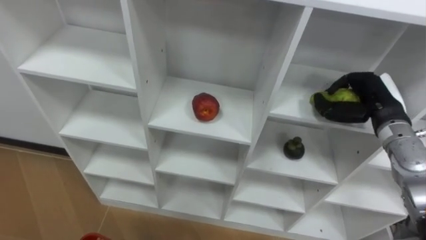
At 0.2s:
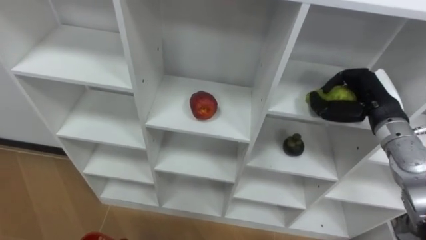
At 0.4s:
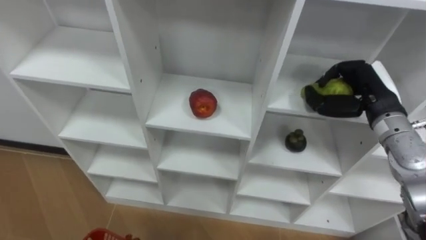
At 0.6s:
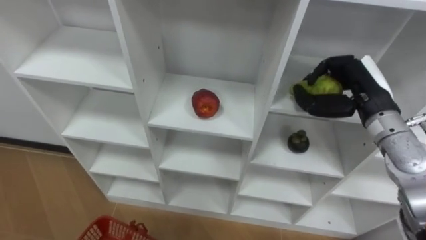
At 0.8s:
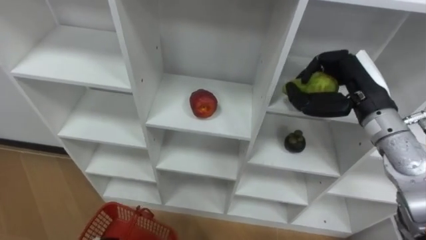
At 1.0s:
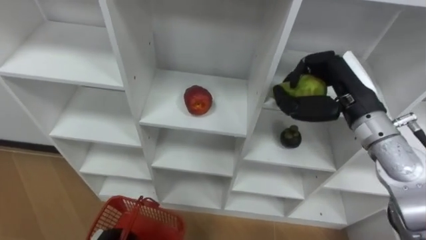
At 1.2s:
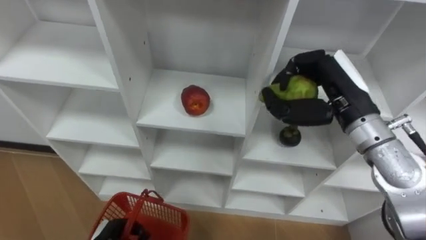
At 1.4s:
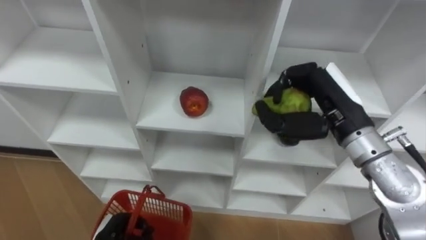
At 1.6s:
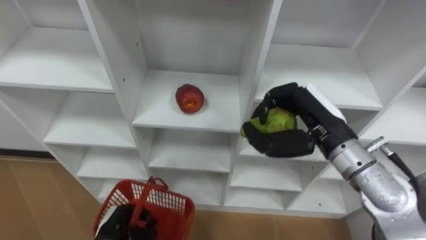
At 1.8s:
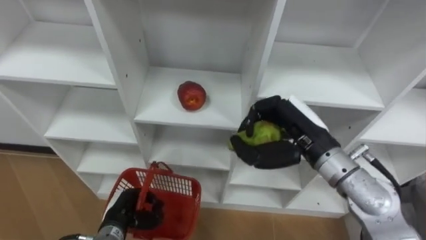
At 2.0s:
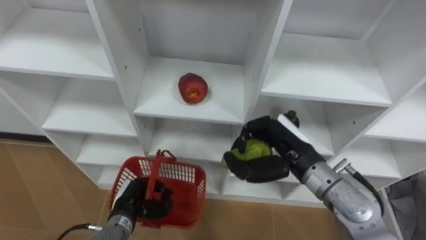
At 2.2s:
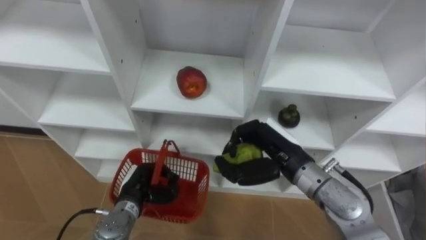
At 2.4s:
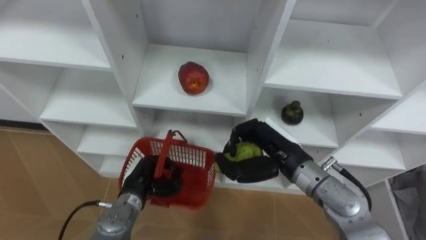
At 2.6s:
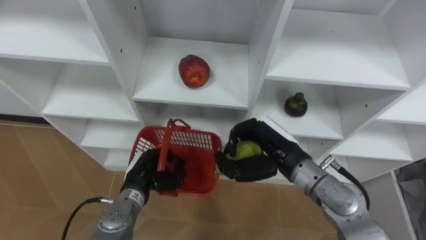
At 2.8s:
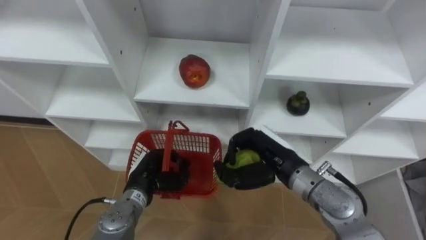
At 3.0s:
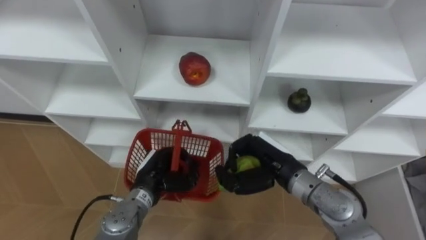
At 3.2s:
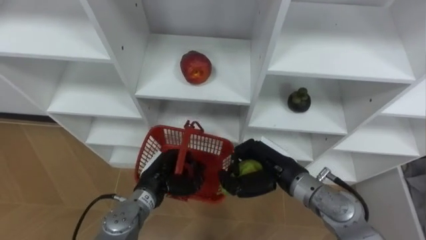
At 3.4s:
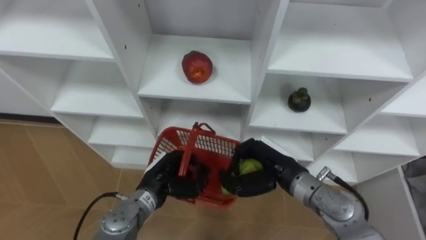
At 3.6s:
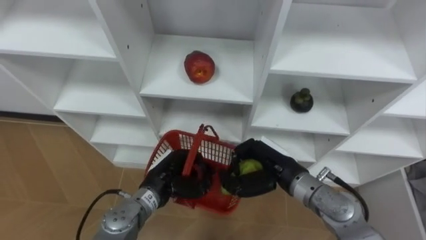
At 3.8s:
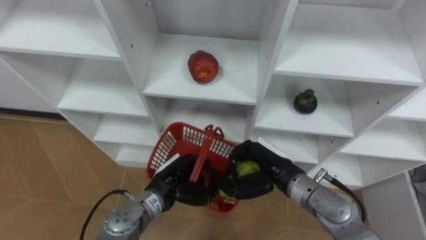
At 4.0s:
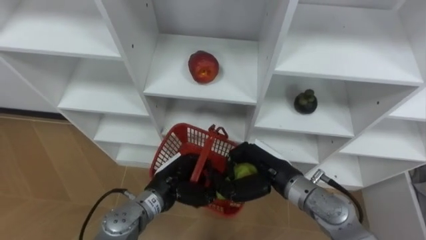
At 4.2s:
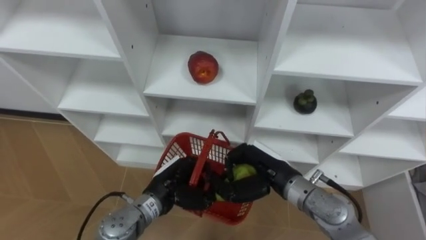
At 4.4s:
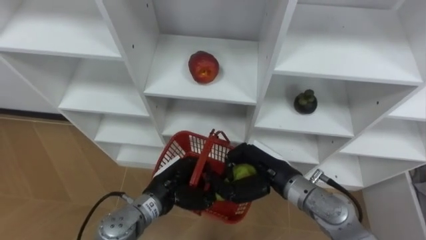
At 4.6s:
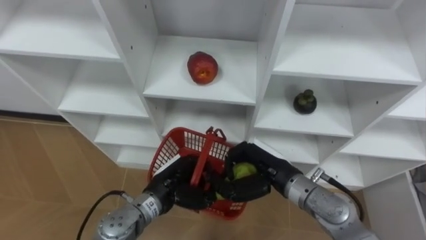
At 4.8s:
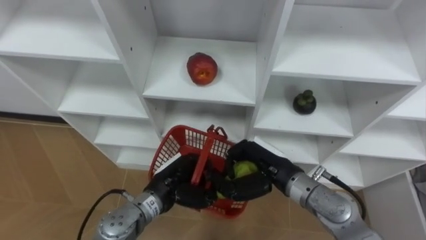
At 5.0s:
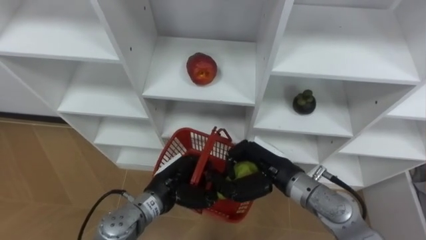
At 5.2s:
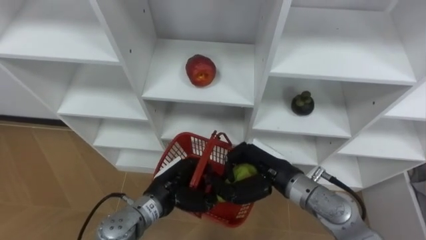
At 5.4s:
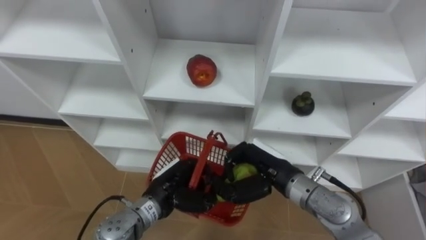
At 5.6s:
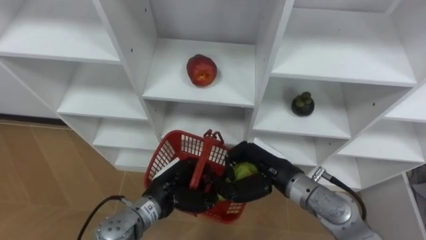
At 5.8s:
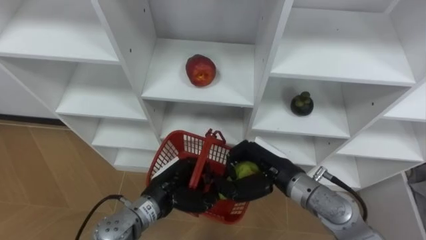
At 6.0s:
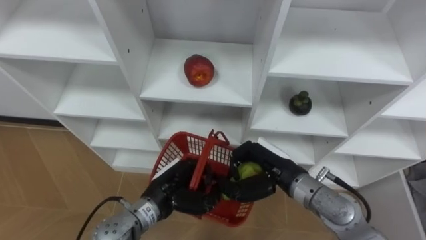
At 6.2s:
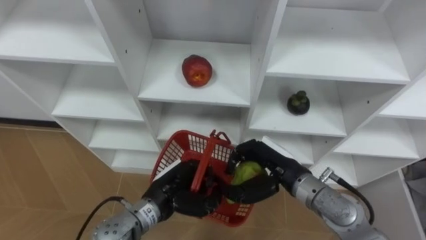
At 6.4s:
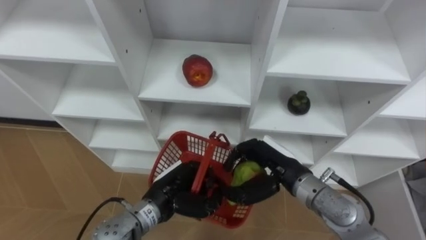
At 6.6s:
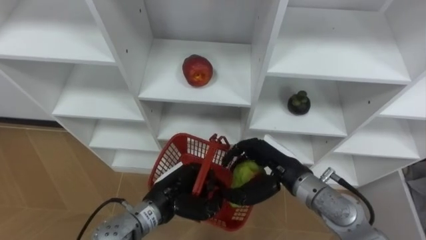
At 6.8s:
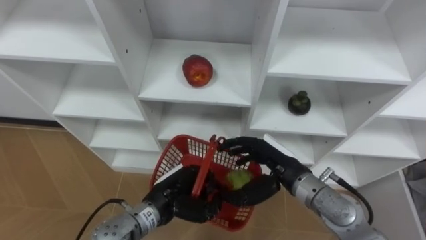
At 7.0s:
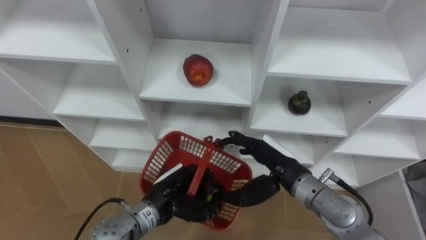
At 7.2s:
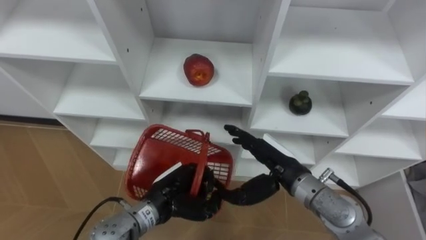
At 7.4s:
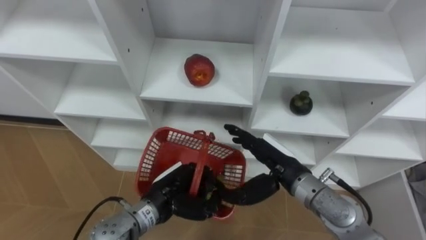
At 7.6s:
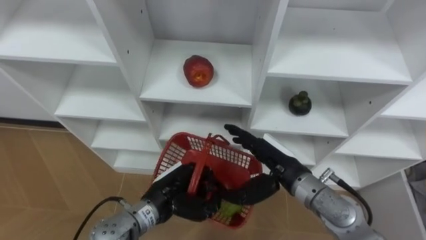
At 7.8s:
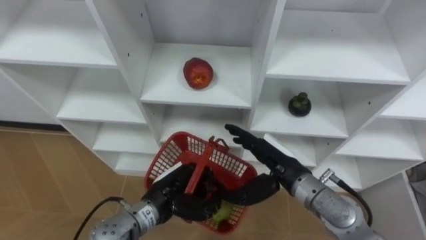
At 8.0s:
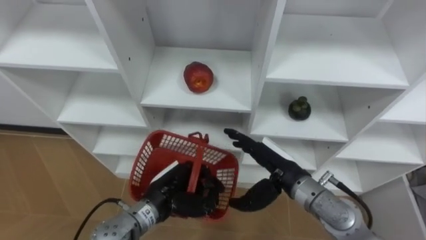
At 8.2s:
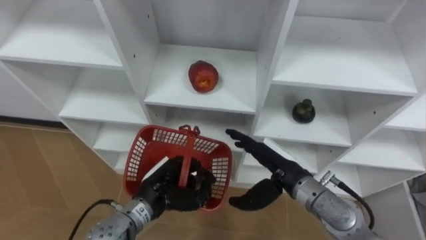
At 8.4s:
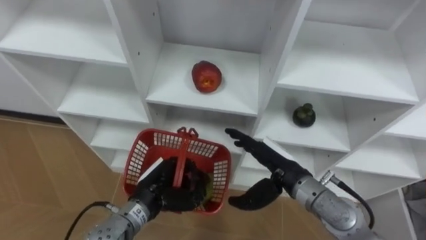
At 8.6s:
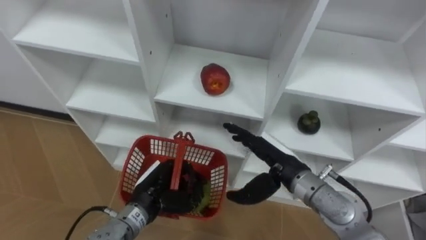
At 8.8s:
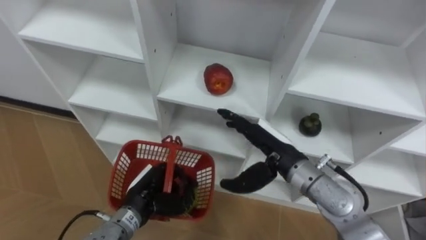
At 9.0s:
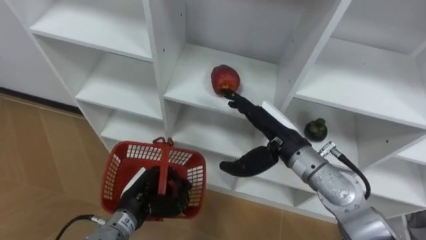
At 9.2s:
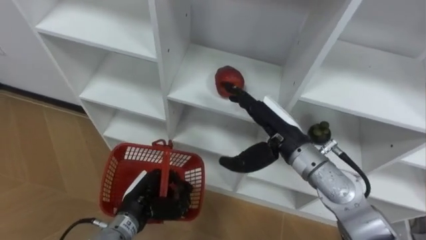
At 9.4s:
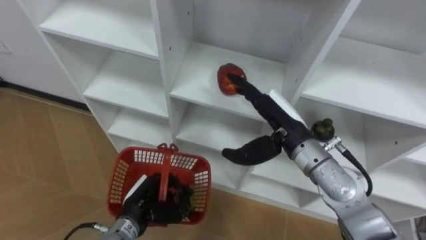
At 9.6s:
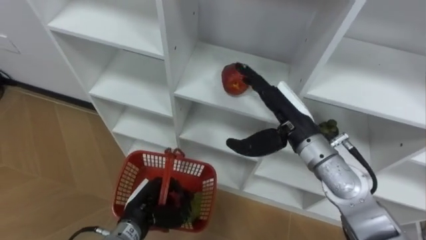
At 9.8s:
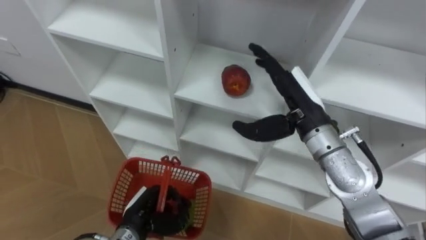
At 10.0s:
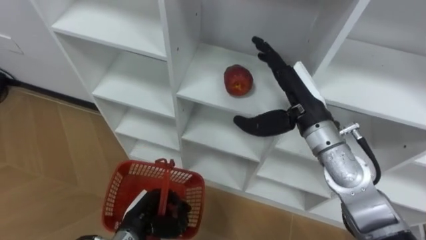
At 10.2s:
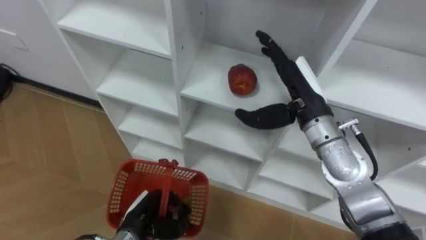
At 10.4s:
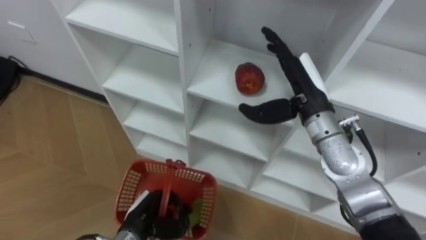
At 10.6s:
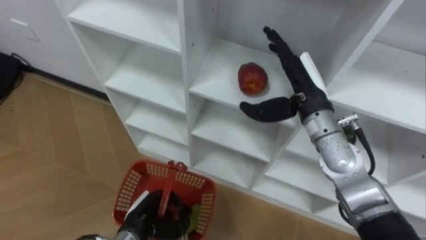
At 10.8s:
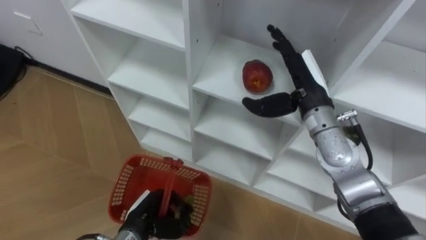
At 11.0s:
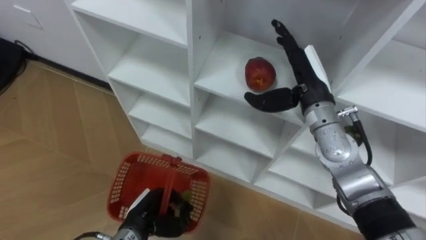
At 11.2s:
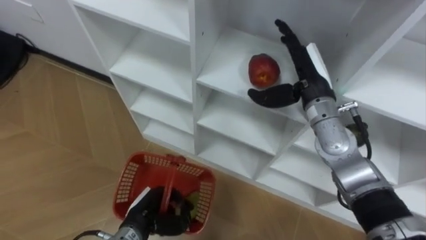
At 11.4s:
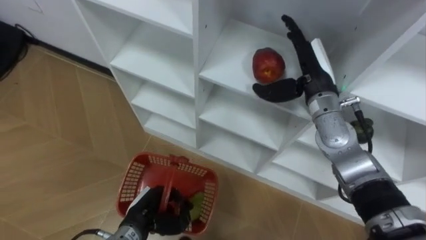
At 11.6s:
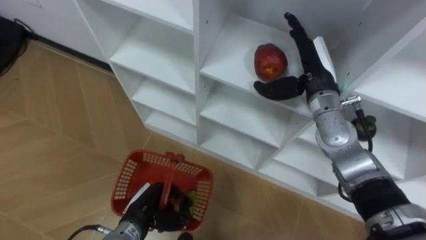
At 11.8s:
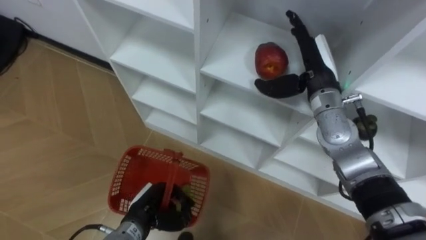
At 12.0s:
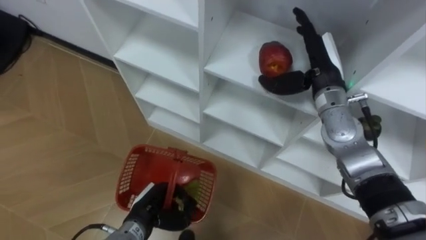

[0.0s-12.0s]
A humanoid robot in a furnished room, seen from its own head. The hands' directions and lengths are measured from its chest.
Task of the whole recording: Hold the basket and collect the fruits from 3 different cells of the closet into it.
0.0s to 1.6s: The right hand heads to the left and backward, covering roughly 15 cm.
1.6s to 3.0s: The left hand shifts some 15 cm forward, to the right and upward. Meanwhile the right hand moves downward and to the left, approximately 10 cm.
4.4s to 6.0s: Both hands stay put.
6.0s to 7.6s: The right hand opens.
7.6s to 9.0s: The right hand moves upward, about 5 cm. The left hand goes some 5 cm to the left.
9.0s to 10.4s: The right hand moves forward and upward, approximately 5 cm, while the left hand ends up roughly 5 cm from where it was.
10.4s to 12.0s: The right hand moves forward, about 5 cm.

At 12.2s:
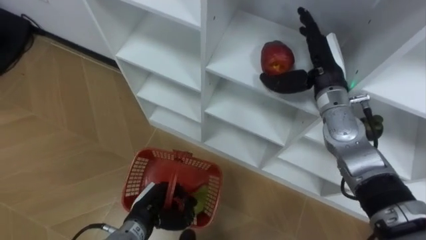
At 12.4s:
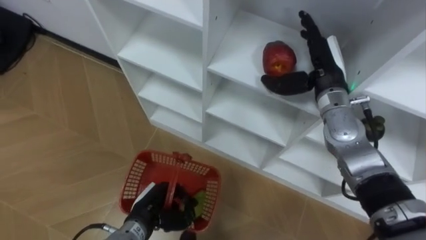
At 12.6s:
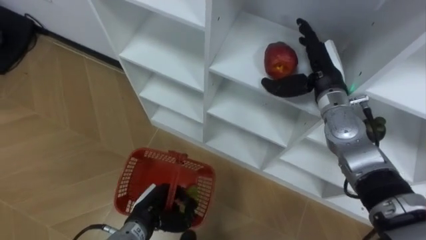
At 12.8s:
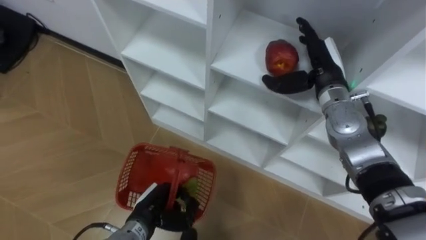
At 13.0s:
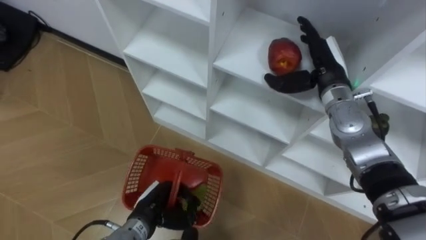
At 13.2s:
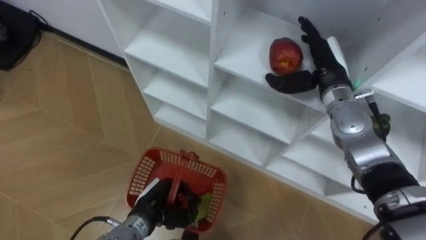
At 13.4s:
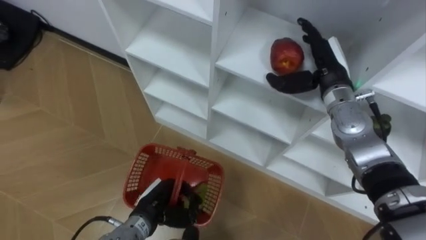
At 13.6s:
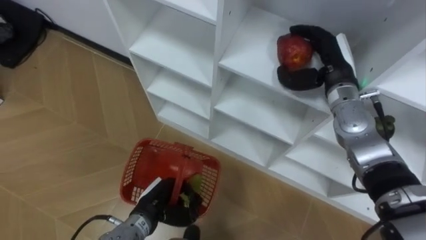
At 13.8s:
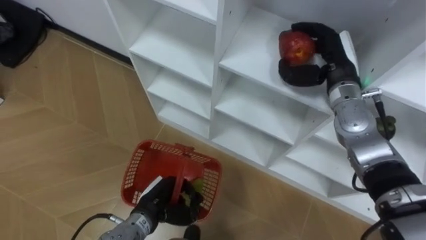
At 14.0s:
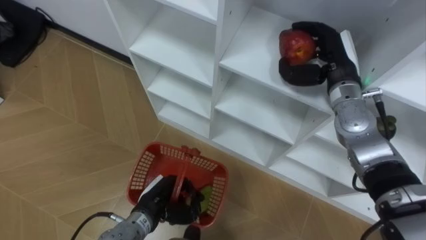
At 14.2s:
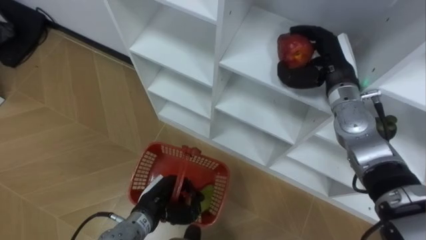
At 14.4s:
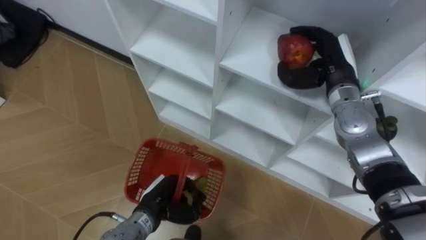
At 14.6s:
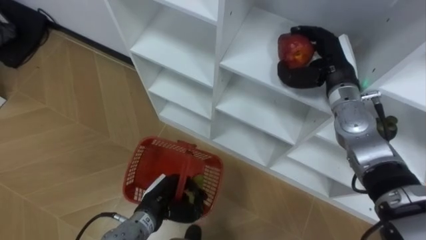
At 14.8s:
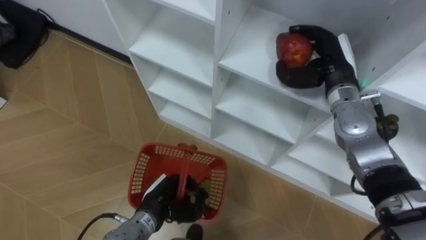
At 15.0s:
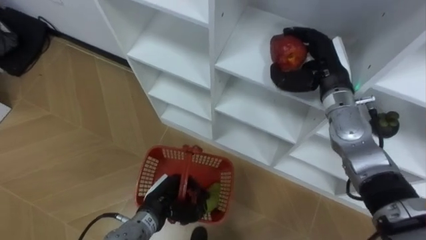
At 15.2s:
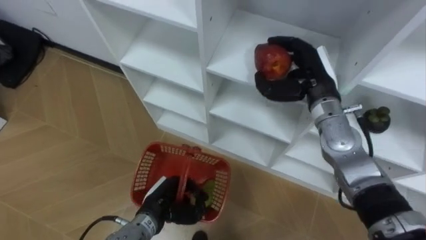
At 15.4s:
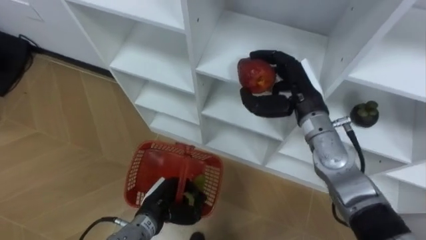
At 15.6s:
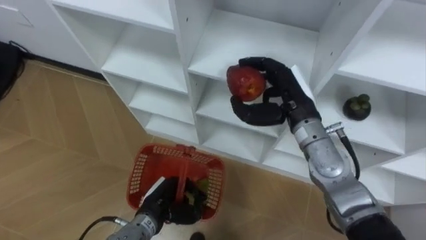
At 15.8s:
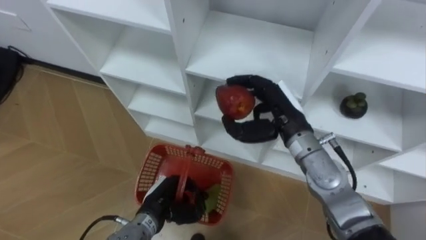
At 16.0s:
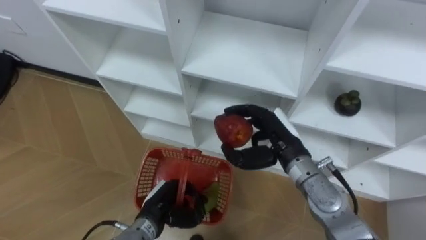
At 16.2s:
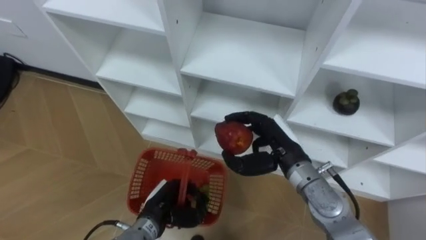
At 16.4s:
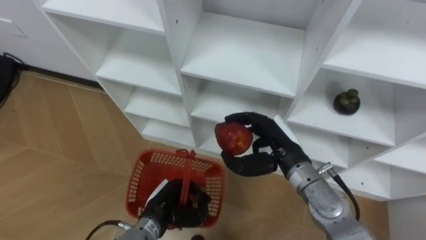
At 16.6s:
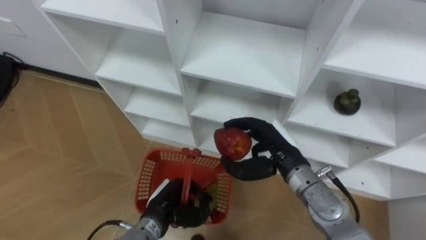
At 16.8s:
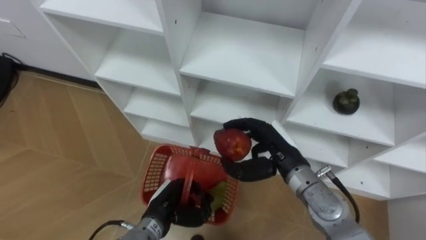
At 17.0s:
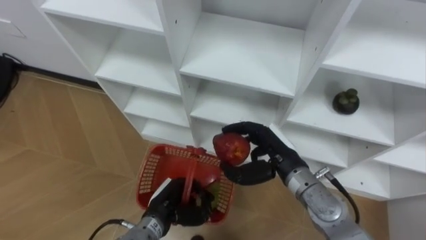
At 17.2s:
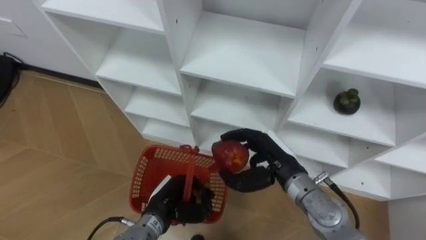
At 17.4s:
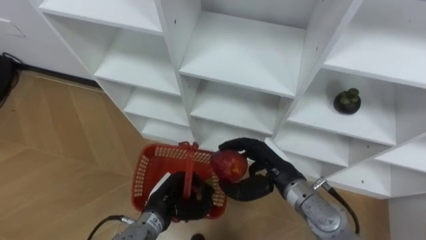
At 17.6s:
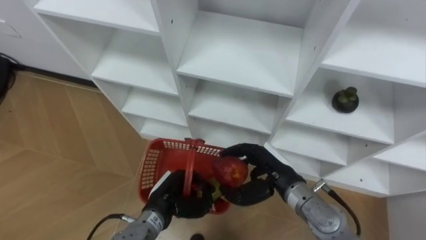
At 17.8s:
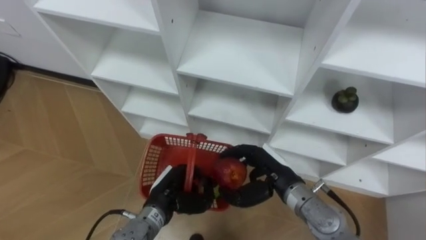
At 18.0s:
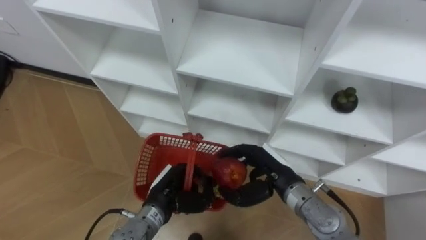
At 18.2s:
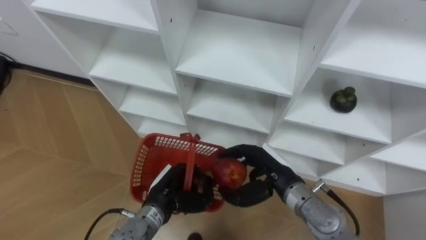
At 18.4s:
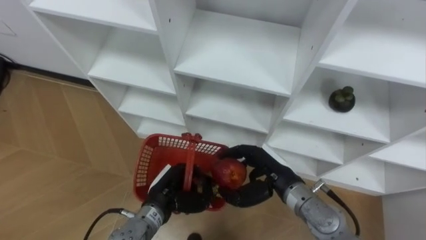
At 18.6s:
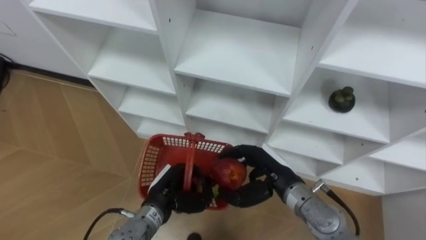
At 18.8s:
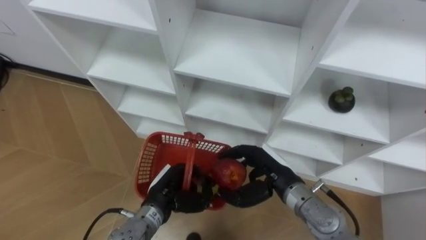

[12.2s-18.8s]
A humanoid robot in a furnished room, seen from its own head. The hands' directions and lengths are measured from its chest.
Task of the whole recording: Hold the basket and collect the fruits from 3 different cells of the closet into it.
12.2s to 13.8s: The right hand closes its fingers.
13.8s to 15.4s: The right hand travels to the left by some 5 cm.
15.4s to 17.2s: The right hand travels downward and backward by about 10 cm.
17.2s to 18.8s: There are only small adjustments of the hands.
